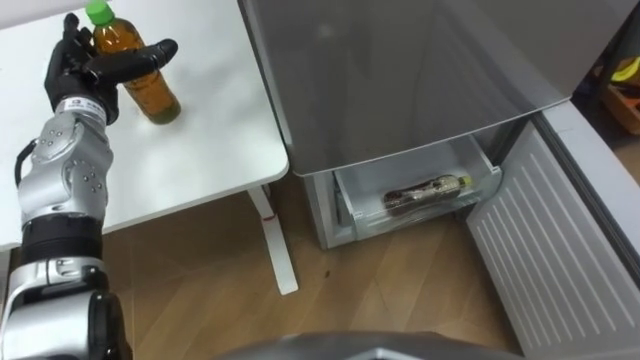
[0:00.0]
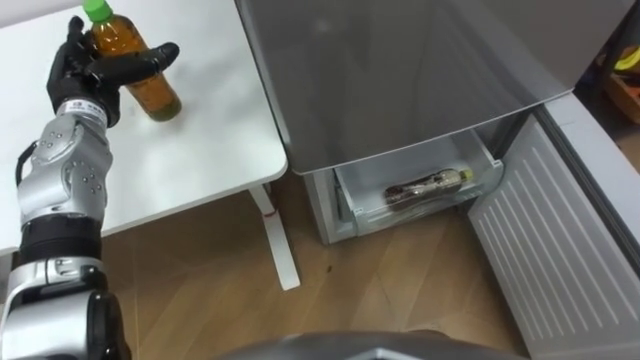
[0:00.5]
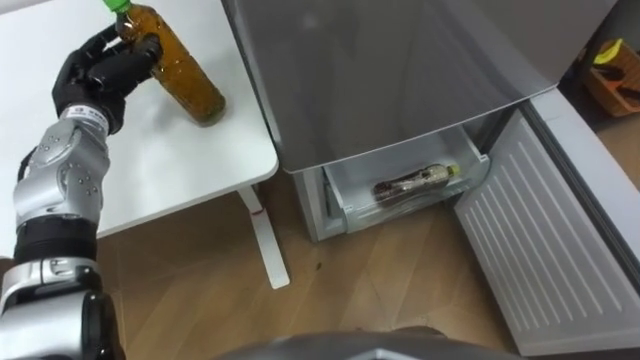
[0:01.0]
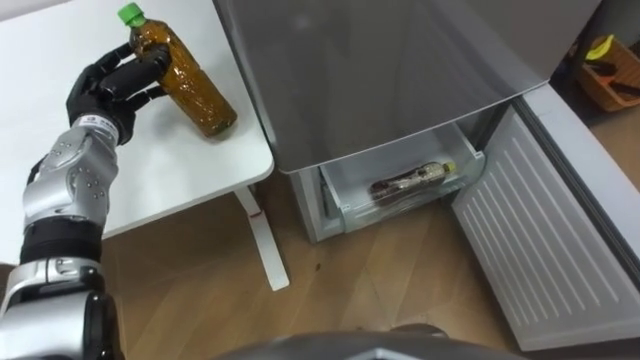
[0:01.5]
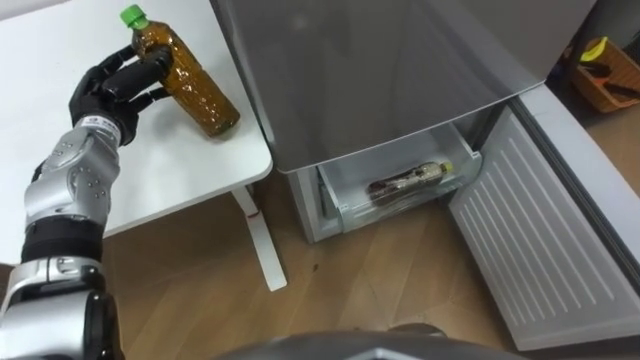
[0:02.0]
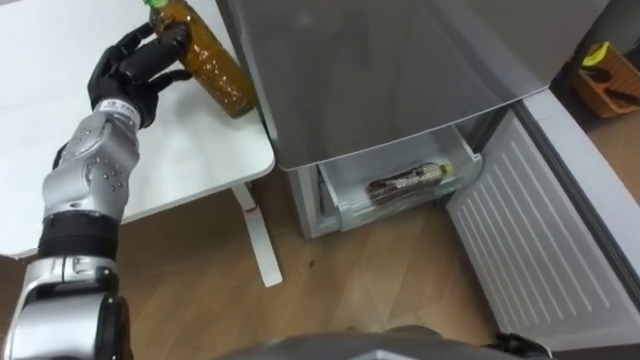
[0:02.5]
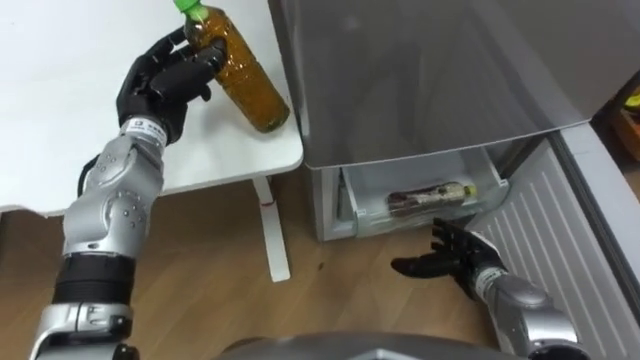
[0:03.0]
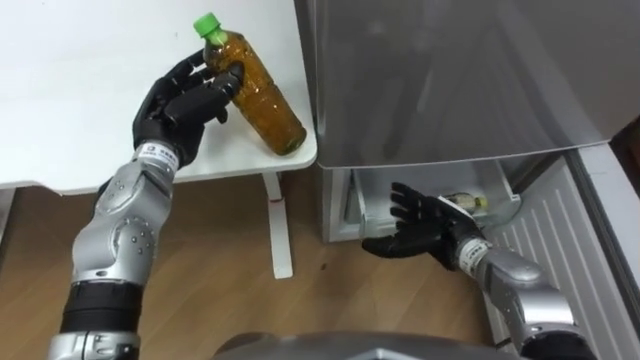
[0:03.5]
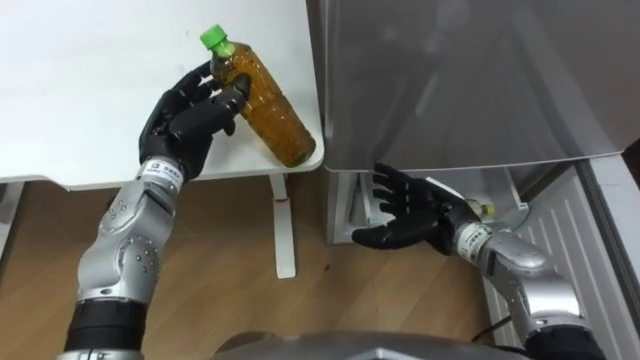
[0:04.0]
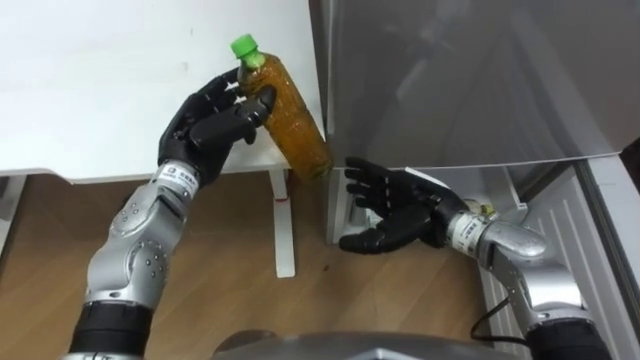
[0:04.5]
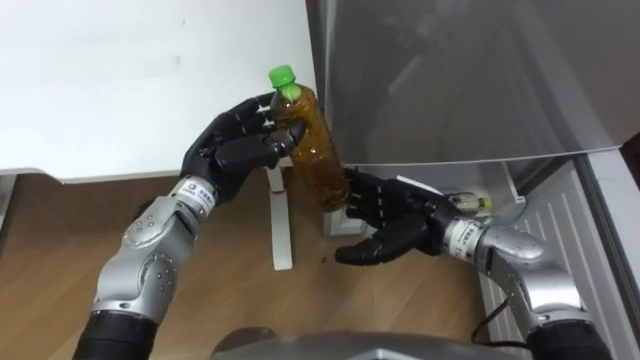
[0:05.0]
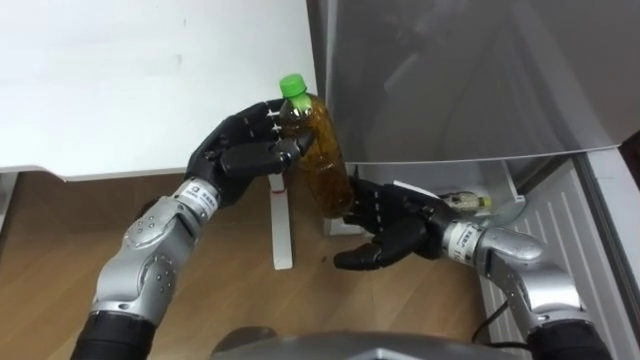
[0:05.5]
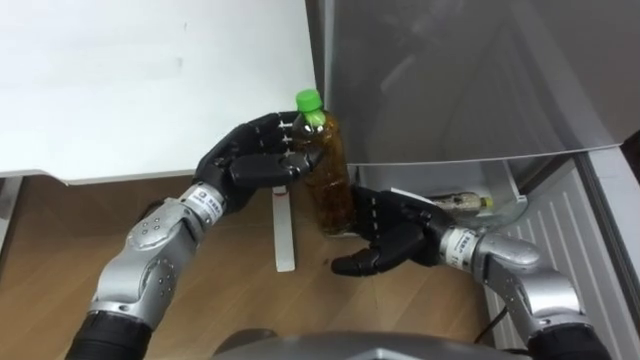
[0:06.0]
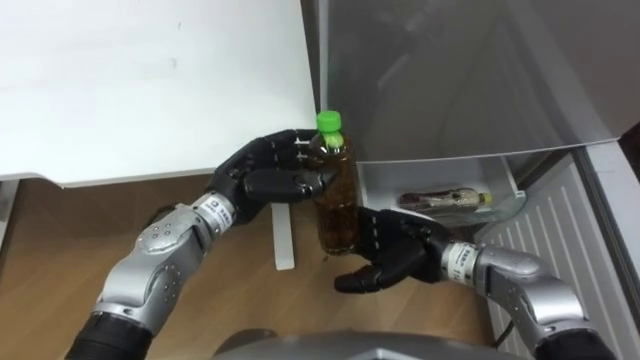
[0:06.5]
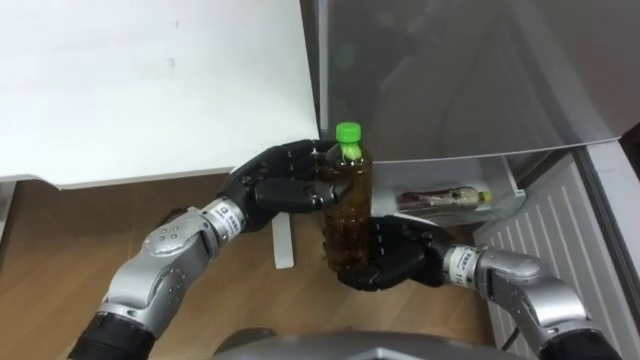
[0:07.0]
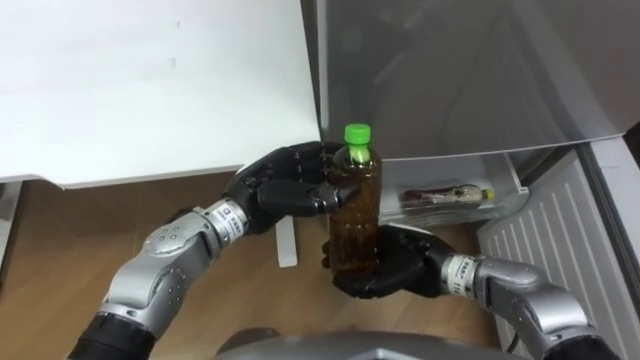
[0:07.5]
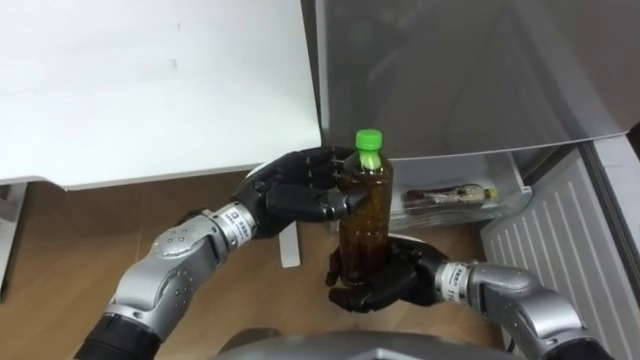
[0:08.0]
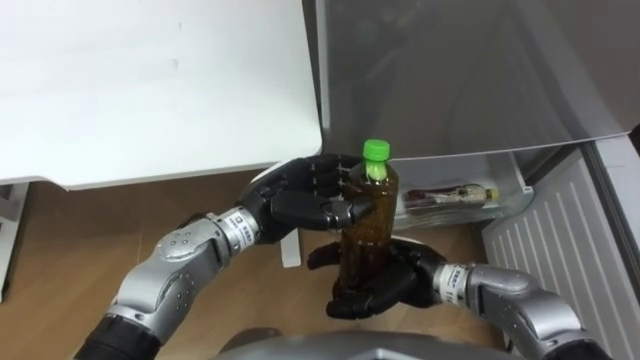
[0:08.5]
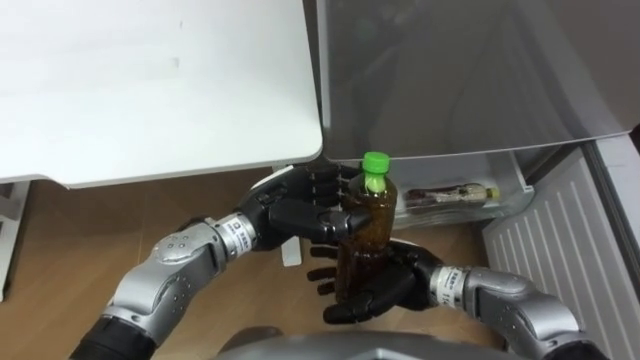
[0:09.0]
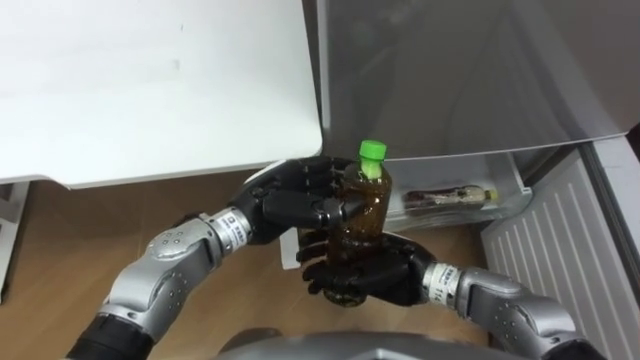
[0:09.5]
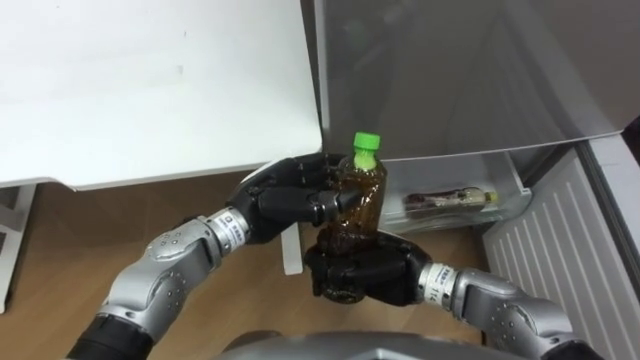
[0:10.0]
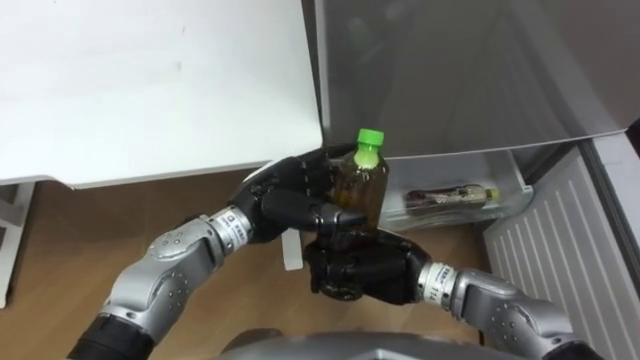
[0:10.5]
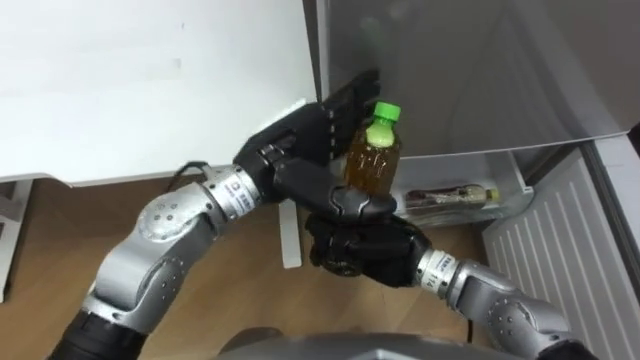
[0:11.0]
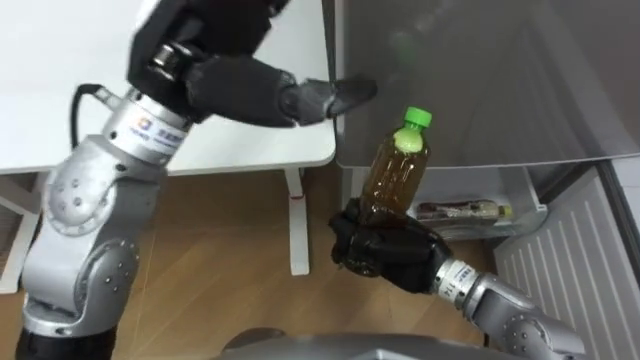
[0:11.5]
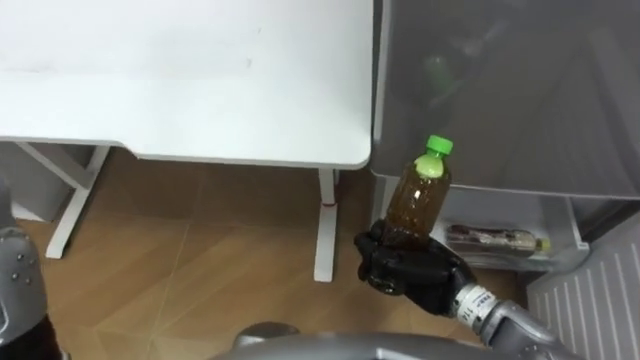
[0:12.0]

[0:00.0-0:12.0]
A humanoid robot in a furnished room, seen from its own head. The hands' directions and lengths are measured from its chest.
Task of the whole recording: Place the drink on the table on the bottom shelf of the refrigerator, then close the drawer and the refrigerator door.
0:00.0 to 0:02.0: The left hand closes up.
0:02.0 to 0:04.0: The left hand goes approximately 10 cm to the right.
0:04.0 to 0:06.0: The left hand is displaced to the right by approximately 5 cm. The right hand changes place by some 5 cm.
0:06.0 to 0:08.0: The left hand shifts some 5 cm to the right; the right hand moves about 5 cm, and closes its fingers.
0:08.0 to 0:10.0: The right hand opens, then closes once more.
0:10.0 to 0:12.0: The right hand moves to the right, some 5 cm.

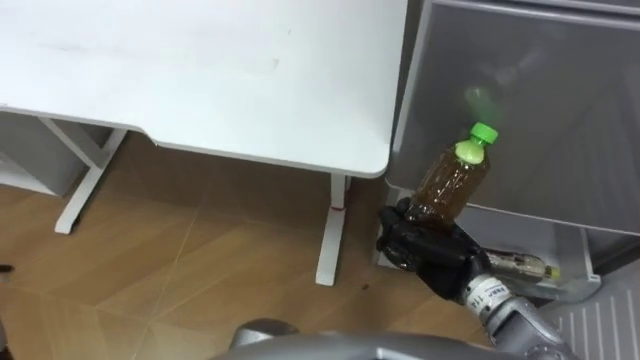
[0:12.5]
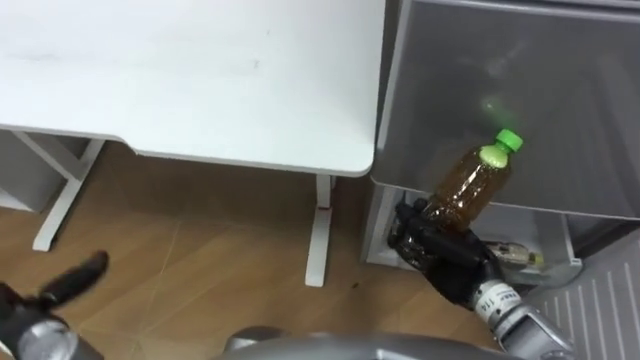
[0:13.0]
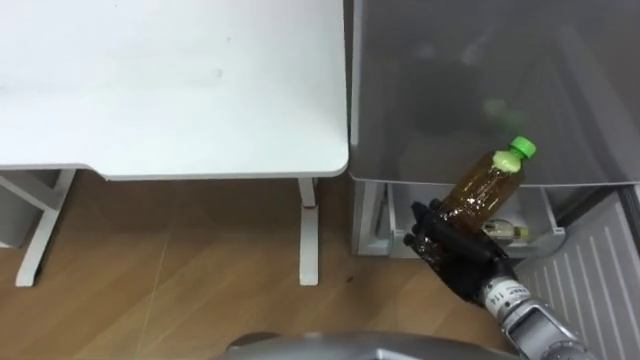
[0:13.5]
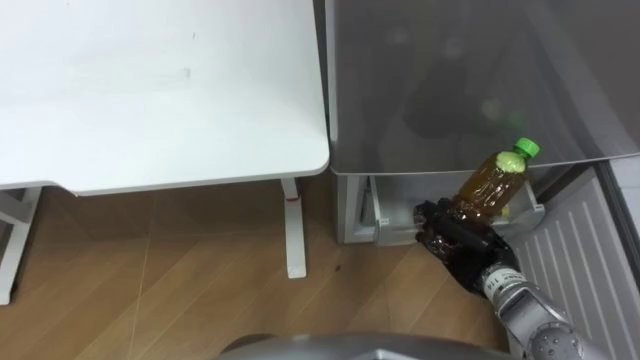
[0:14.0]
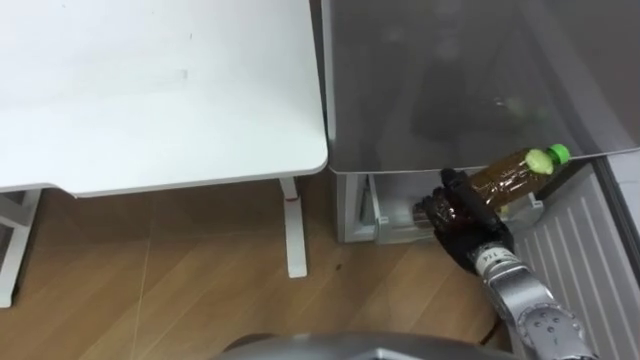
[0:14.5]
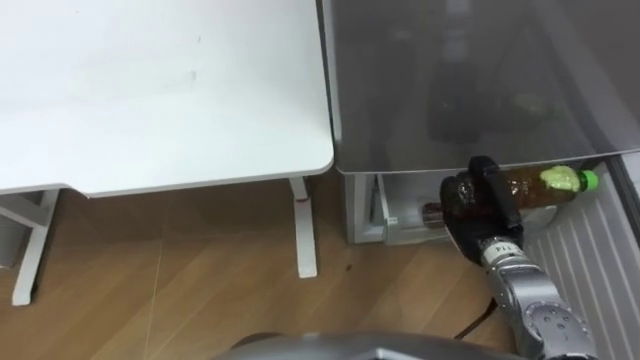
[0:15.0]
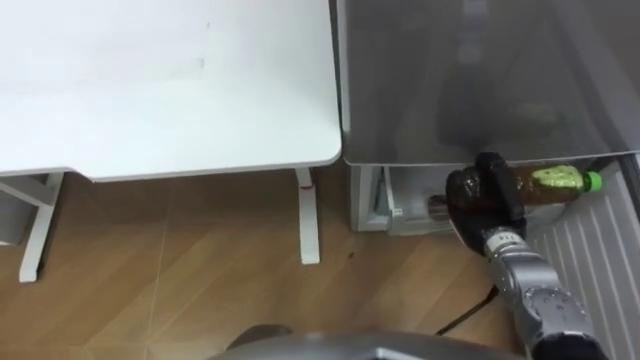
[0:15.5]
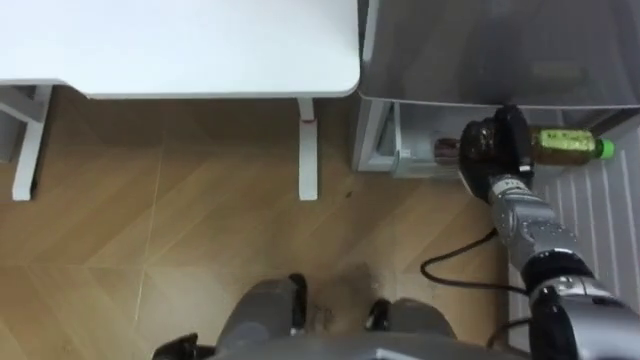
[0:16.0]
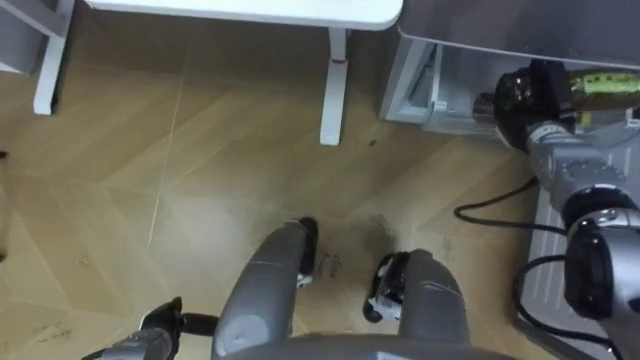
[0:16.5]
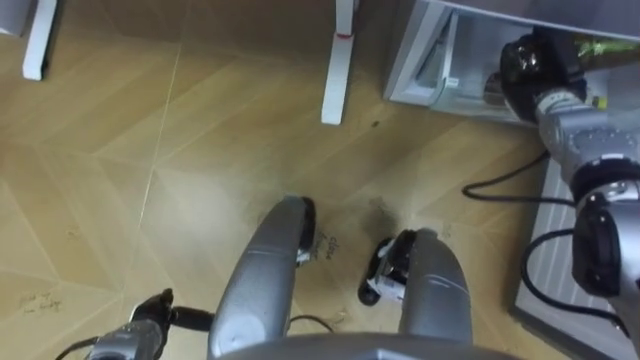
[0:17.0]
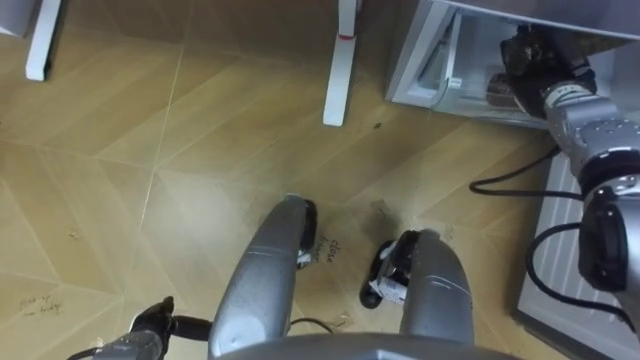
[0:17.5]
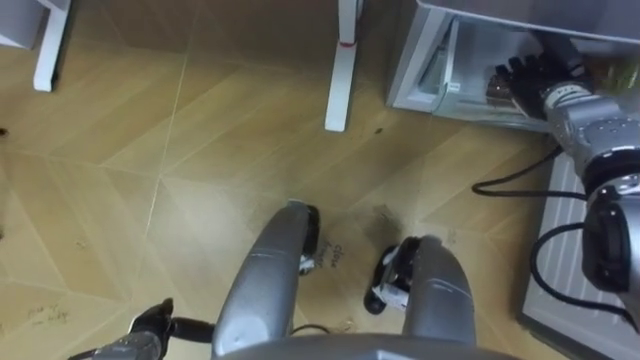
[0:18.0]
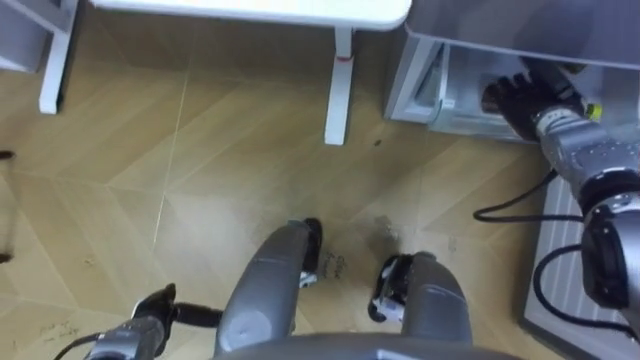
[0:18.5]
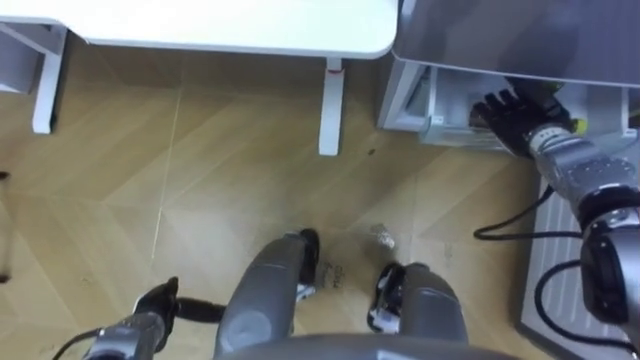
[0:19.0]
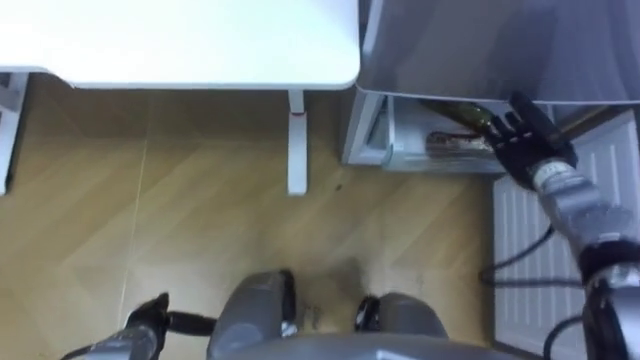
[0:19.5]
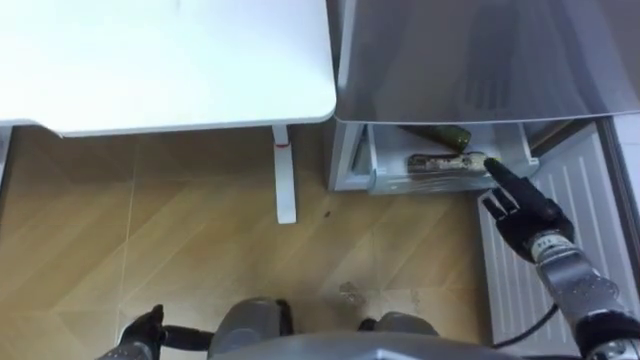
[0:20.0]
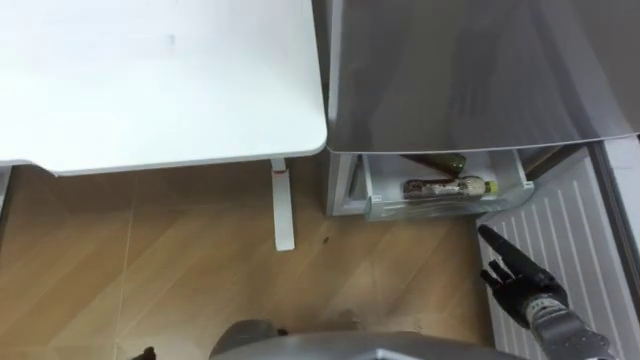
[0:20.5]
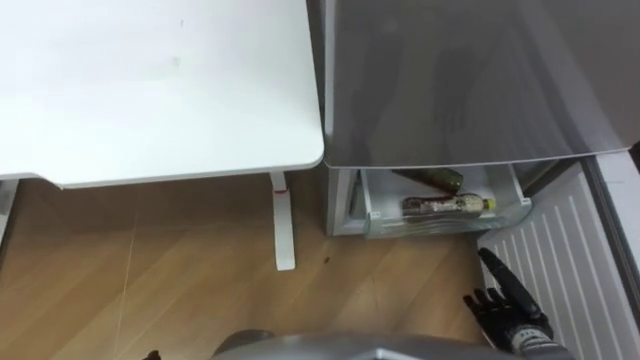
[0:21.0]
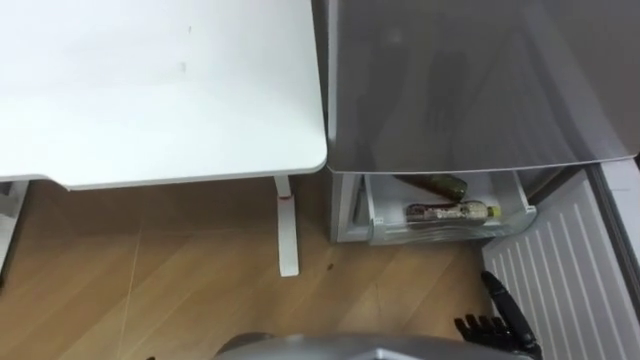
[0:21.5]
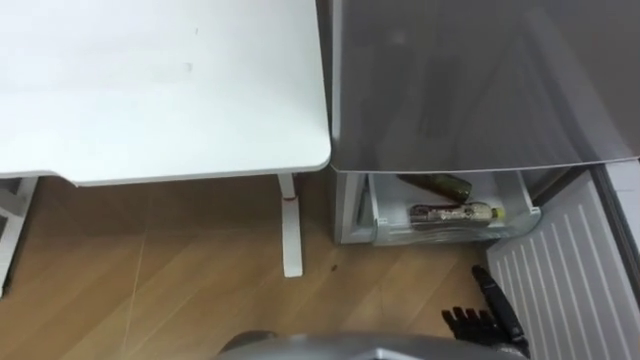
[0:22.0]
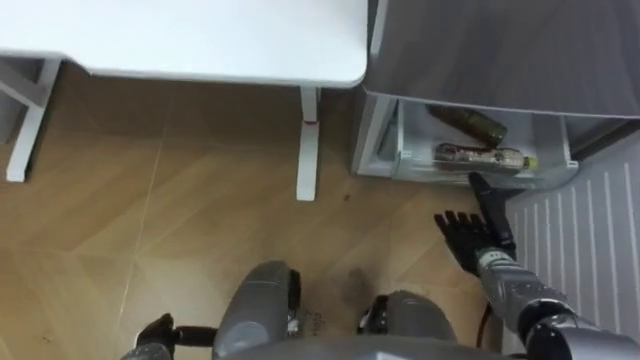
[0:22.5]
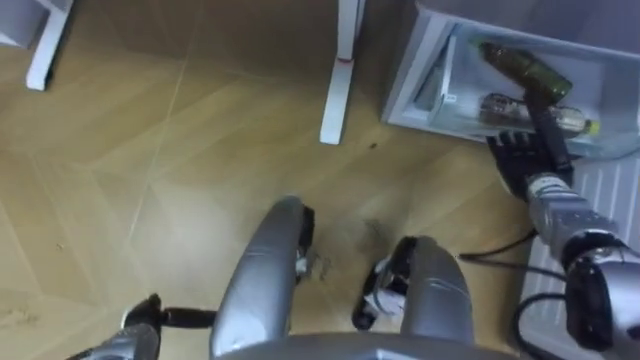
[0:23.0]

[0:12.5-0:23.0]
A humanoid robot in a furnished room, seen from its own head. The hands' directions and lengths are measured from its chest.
Task of the whole recording: Place the drink on the table on the bottom shelf of the refrigerator, then close the drawer and the refrigerator door.
0:12.5 to 0:14.5: The right hand heads to the right, covering some 5 cm.
0:14.5 to 0:16.5: The right hand moves forward and to the right, approximately 15 cm.
0:16.5 to 0:19.0: The right hand opens its fingers.
0:19.0 to 0:21.0: The right hand goes approximately 30 cm backward and downward.
0:21.0 to 0:23.0: The right hand is displaced forward and upward by some 20 cm.
